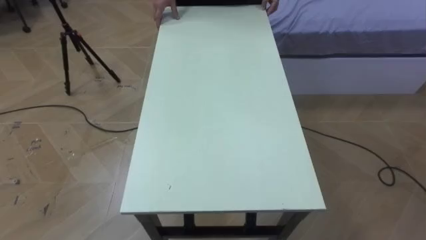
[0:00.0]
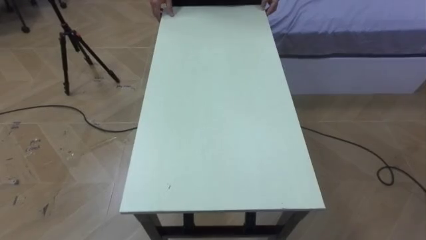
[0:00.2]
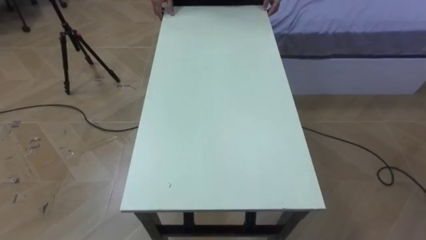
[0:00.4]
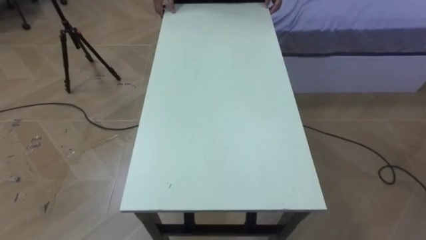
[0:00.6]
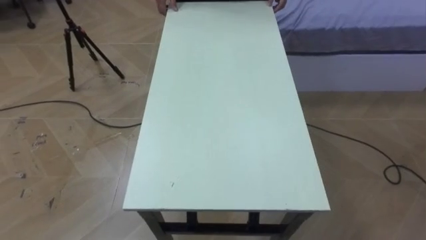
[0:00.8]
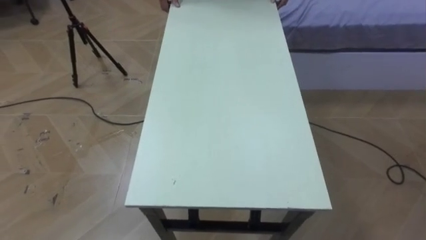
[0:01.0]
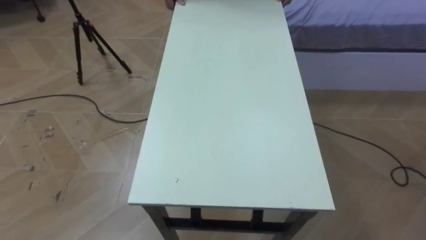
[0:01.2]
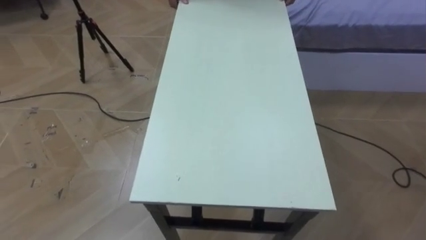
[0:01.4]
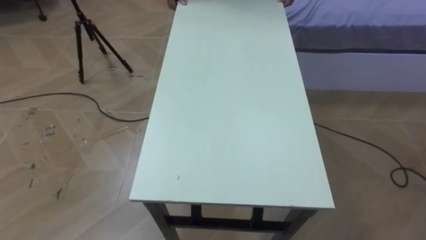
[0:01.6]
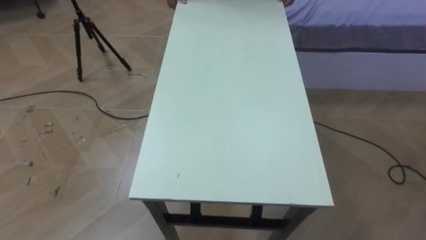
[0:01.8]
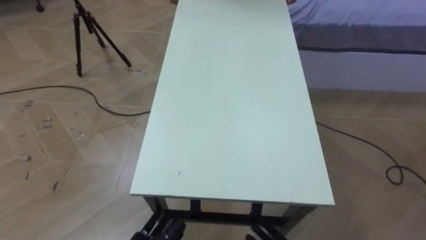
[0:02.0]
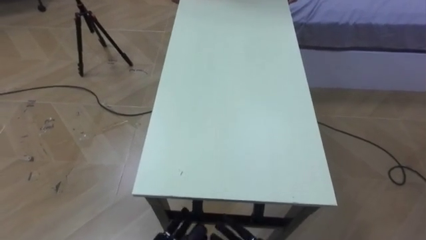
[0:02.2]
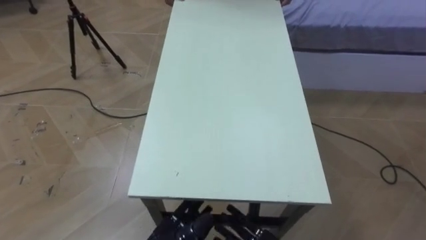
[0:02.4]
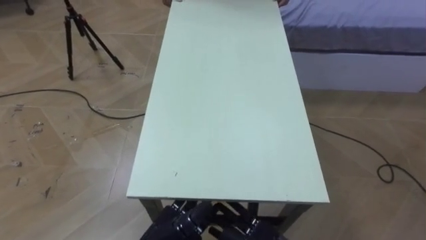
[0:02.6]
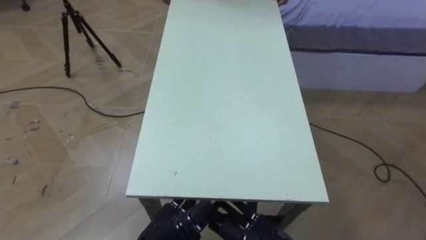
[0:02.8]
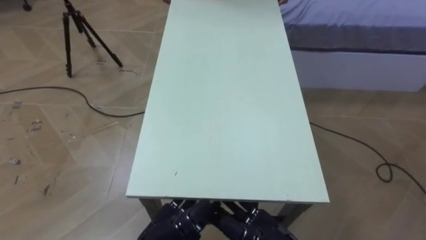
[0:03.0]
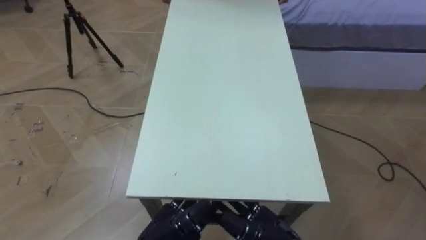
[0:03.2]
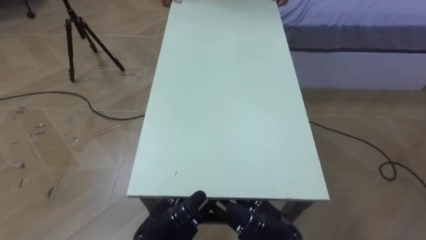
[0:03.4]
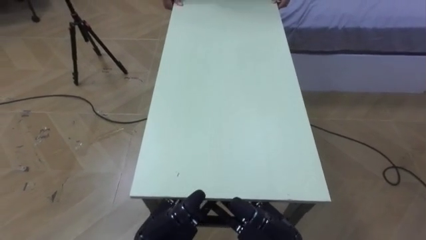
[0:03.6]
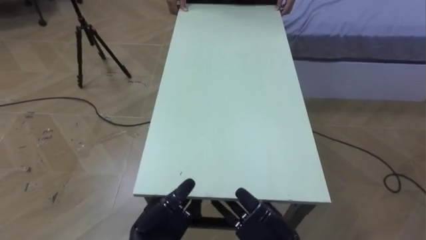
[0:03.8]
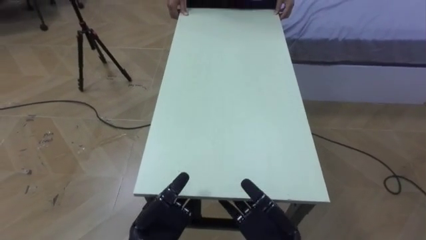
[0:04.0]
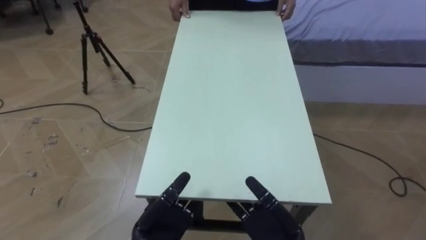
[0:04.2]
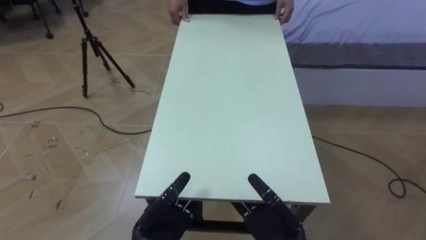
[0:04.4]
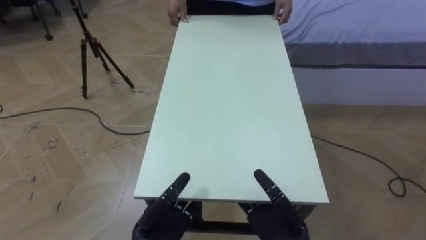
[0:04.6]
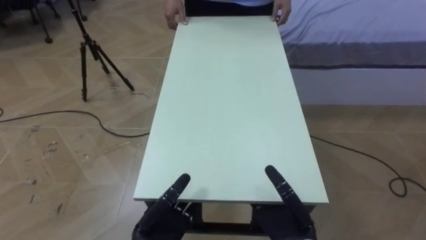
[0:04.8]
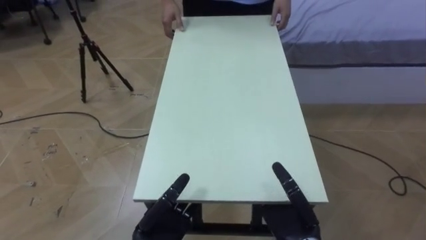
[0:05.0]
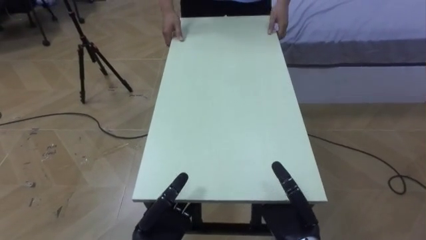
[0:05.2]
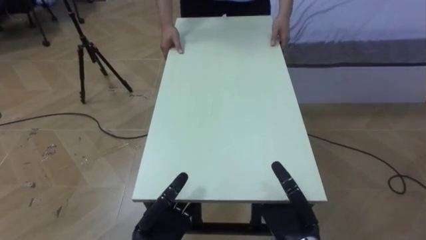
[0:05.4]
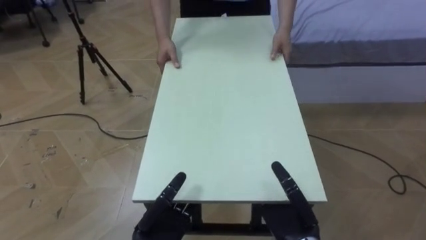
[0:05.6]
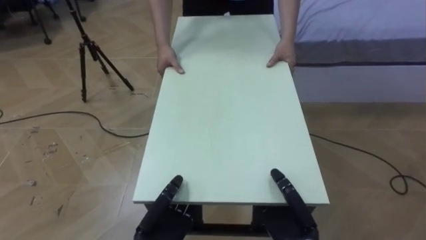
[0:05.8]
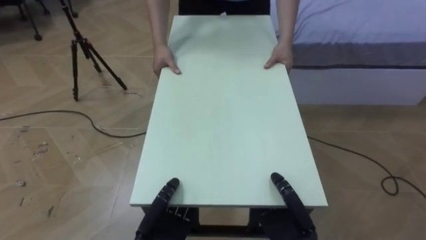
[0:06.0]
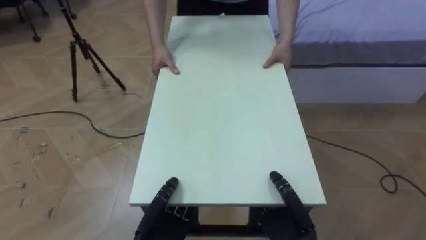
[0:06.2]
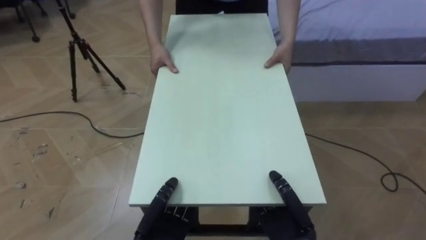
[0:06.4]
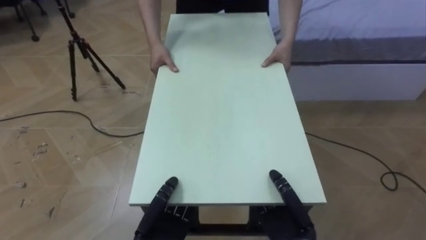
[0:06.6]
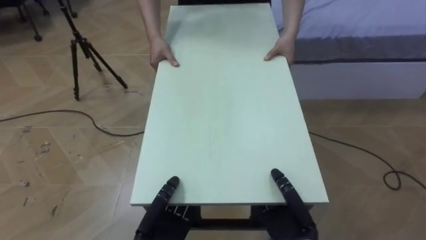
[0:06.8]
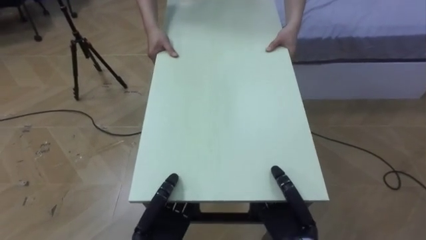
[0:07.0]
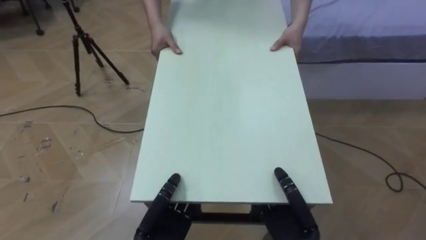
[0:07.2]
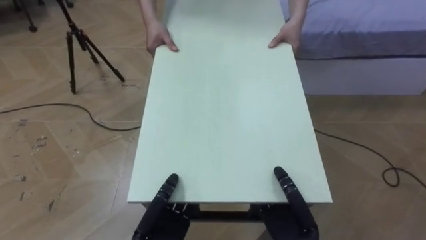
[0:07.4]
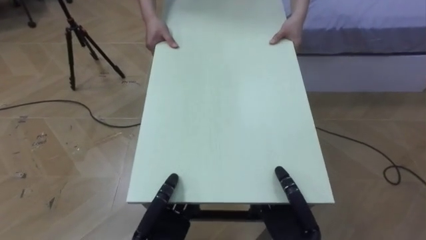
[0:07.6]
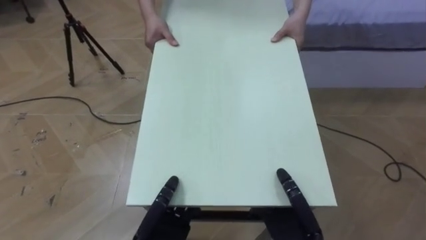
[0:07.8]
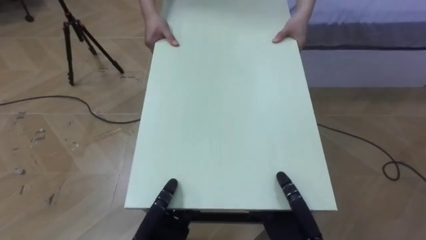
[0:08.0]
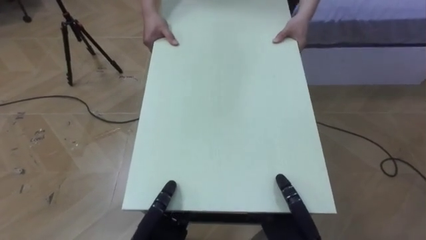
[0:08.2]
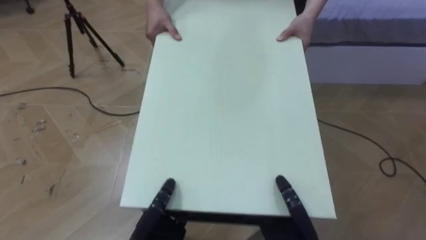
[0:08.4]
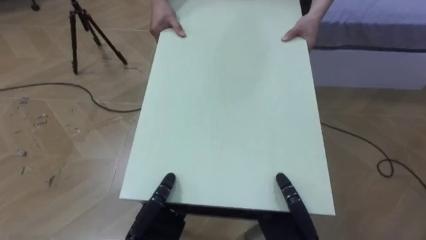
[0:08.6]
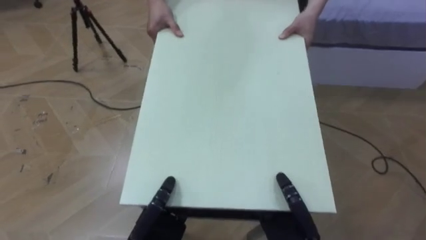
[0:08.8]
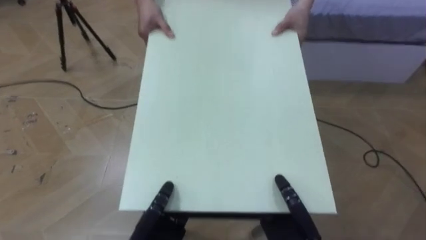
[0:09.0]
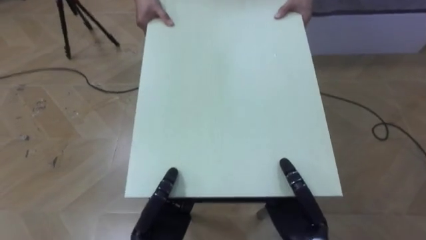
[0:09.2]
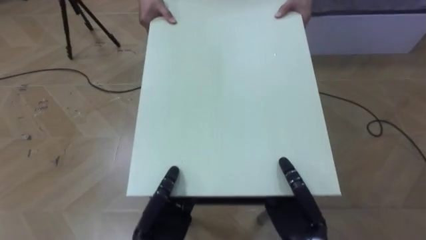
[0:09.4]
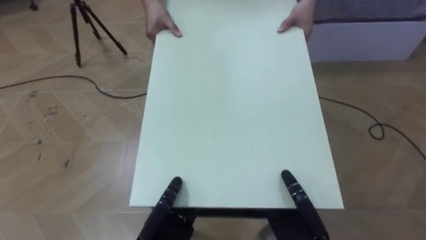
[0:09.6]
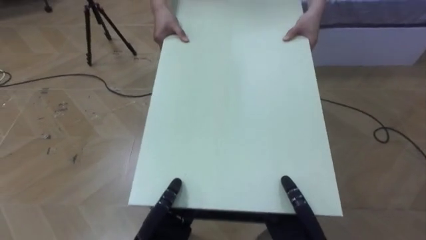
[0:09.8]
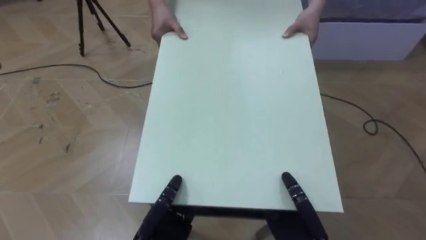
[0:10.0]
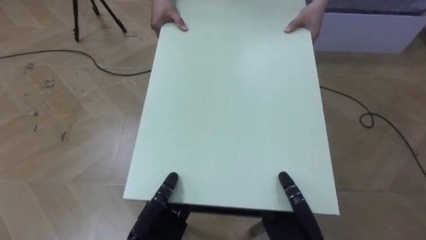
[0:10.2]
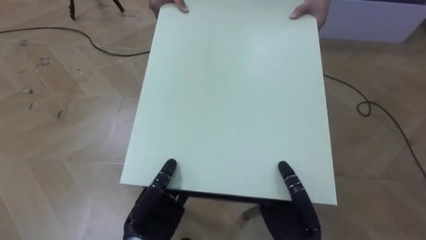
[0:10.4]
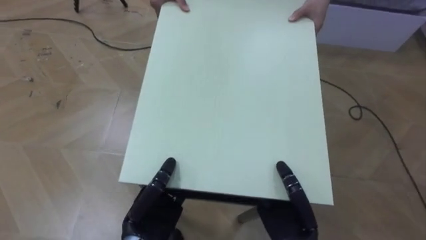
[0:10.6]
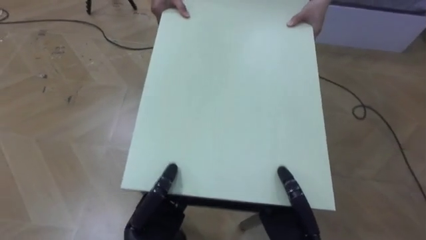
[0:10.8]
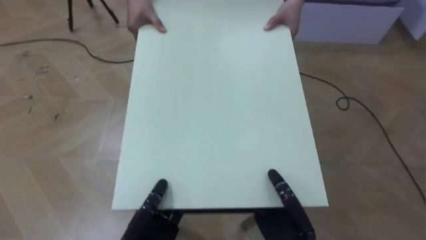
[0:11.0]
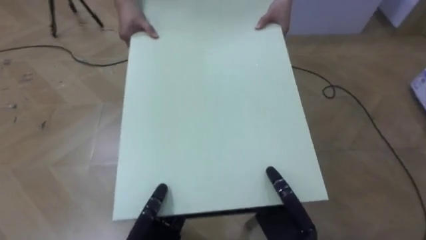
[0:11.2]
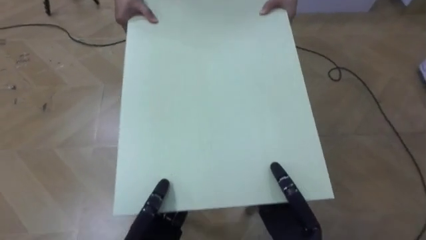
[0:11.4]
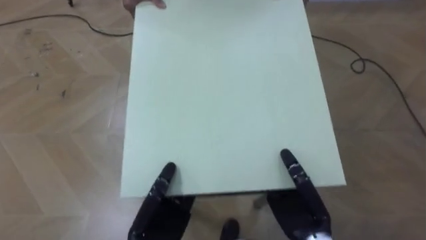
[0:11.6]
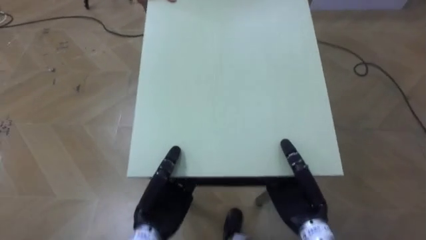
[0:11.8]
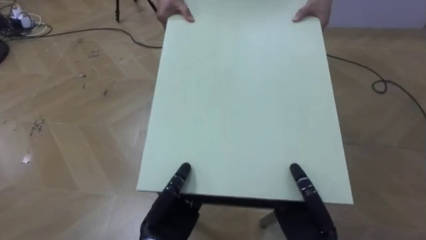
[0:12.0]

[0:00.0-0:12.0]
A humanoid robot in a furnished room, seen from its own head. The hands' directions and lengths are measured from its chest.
Task of the whole recording: Move the table to the back left with someone.
0:04.4 to 0:06.0: The right hand closes its fingers; the left hand closes.

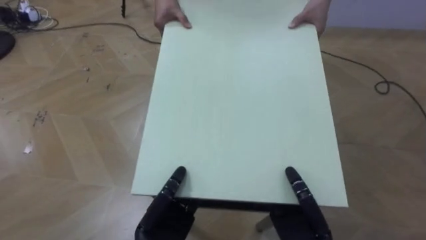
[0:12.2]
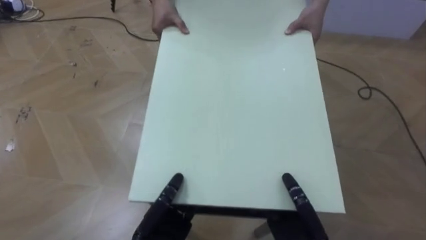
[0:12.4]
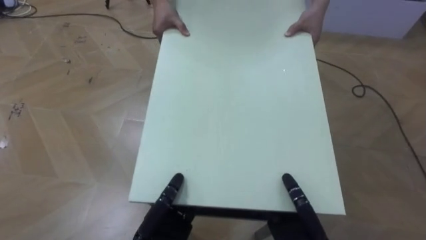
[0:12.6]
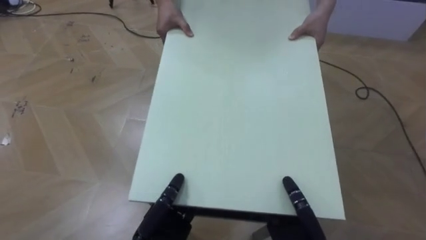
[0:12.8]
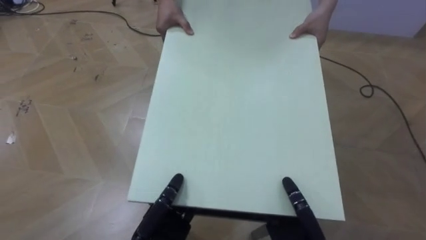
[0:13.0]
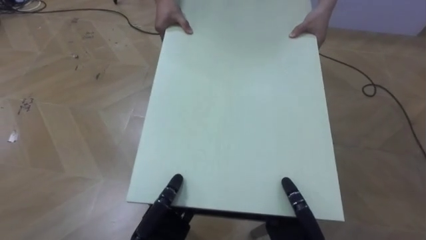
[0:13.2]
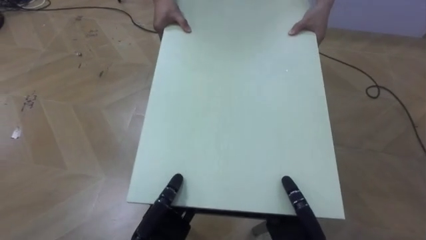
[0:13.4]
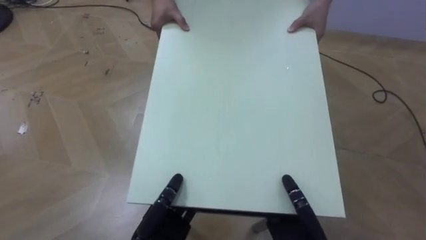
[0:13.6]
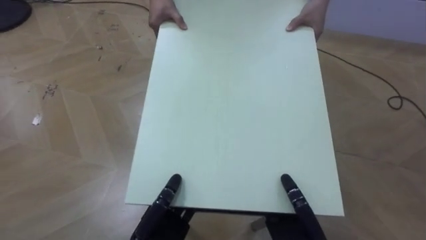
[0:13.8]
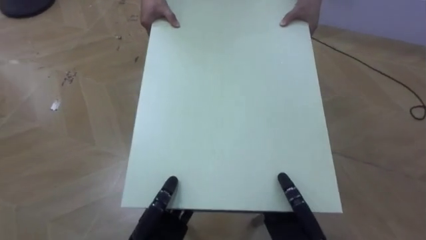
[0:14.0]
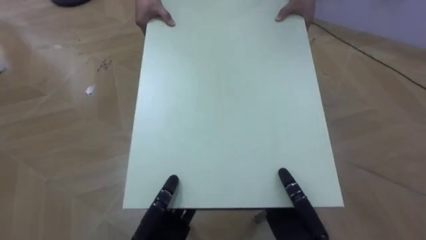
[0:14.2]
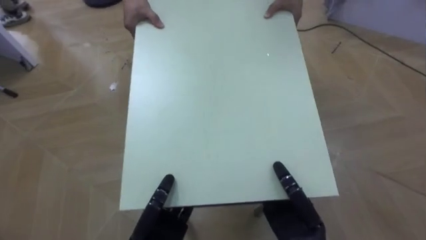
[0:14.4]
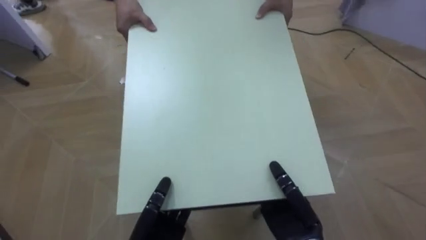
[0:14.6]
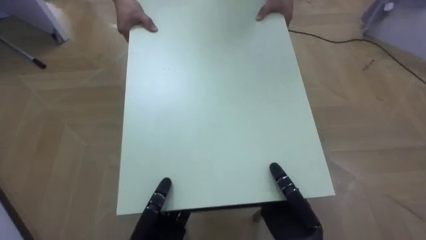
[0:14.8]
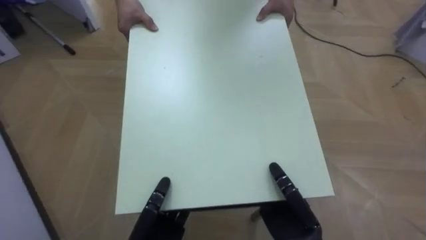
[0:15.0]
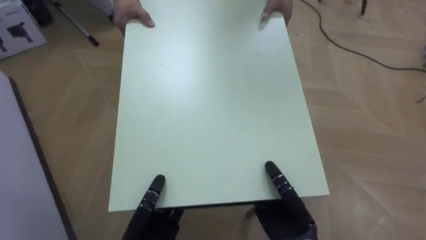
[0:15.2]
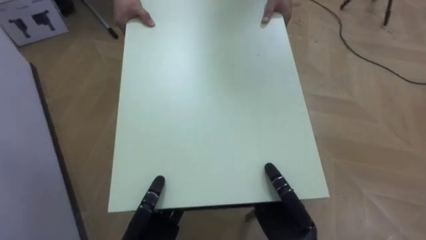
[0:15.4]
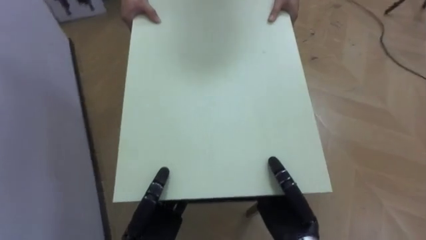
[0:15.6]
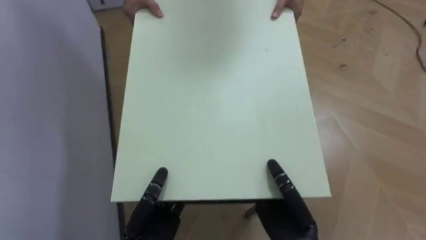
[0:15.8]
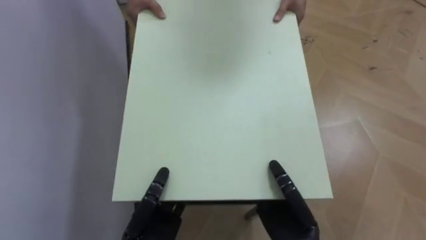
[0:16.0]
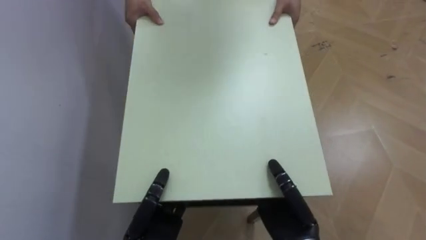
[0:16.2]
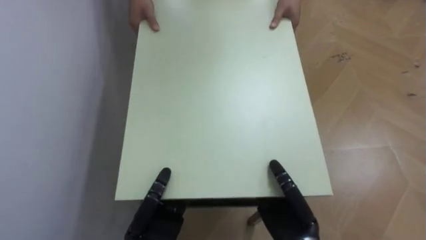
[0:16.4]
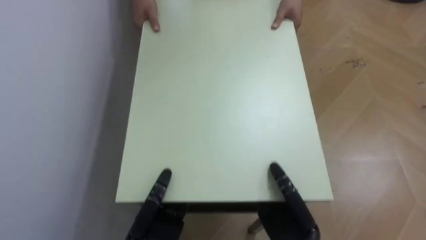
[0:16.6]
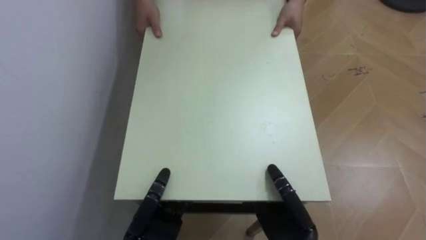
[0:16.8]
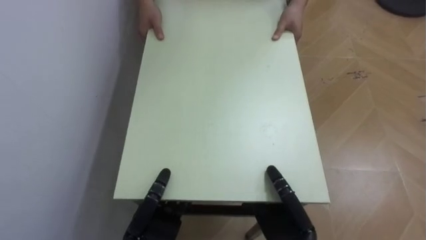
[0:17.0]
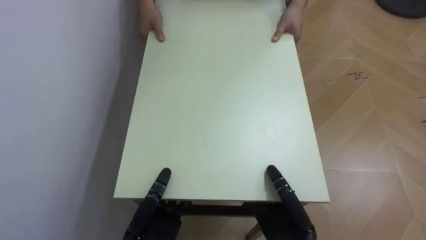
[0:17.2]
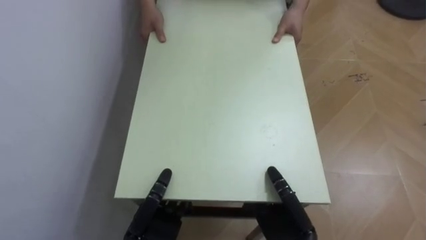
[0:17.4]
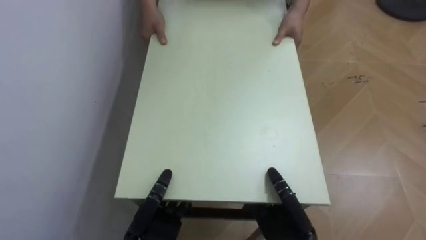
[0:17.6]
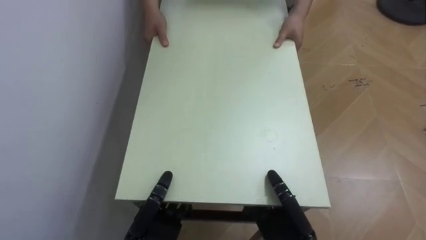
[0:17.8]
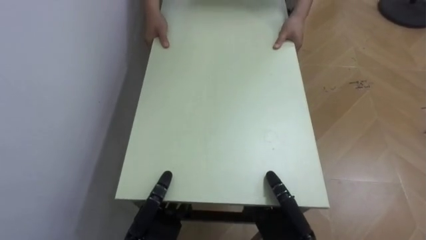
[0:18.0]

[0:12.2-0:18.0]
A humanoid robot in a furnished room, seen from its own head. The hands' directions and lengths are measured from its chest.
Task of the whole recording: Move the table to the back left with someone.
0:13.6 to 0:15.0: The robot turns to its left by some 35 degrees.
0:15.0 to 0:16.6: The robot faces approximately 45 degrees further to its left.
